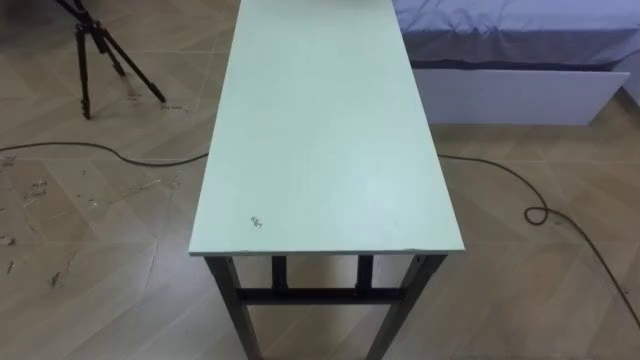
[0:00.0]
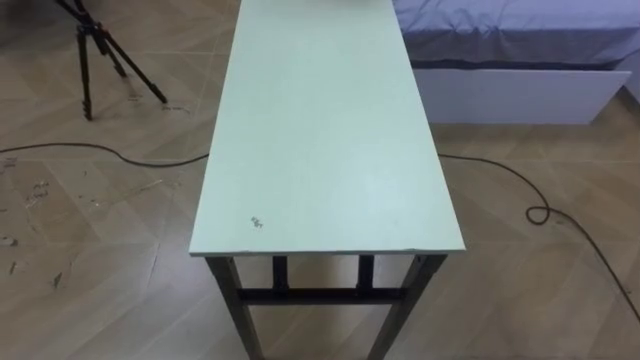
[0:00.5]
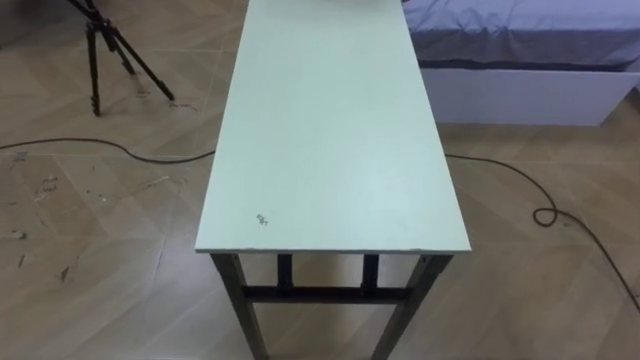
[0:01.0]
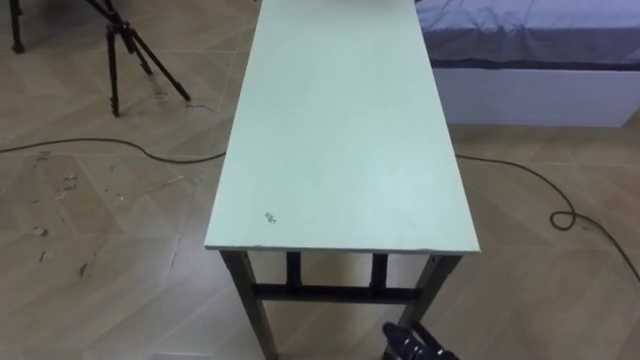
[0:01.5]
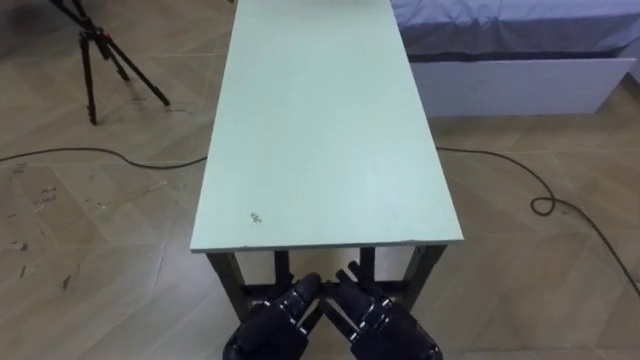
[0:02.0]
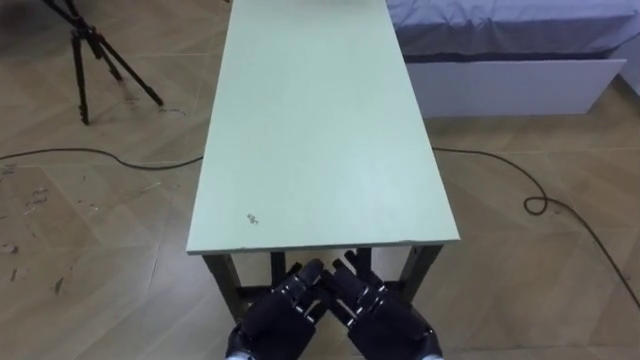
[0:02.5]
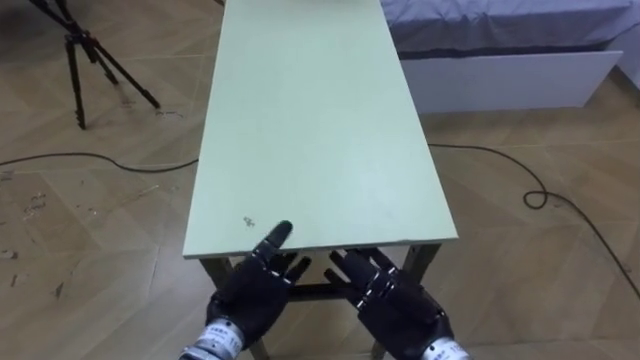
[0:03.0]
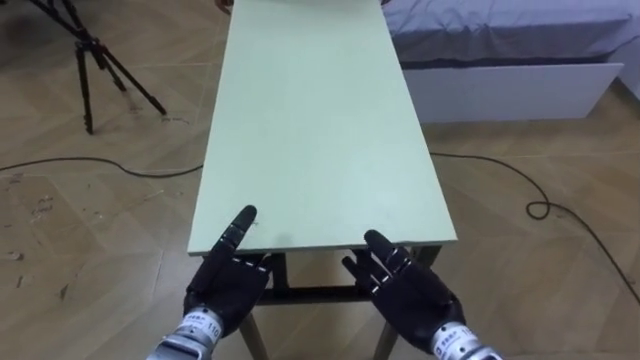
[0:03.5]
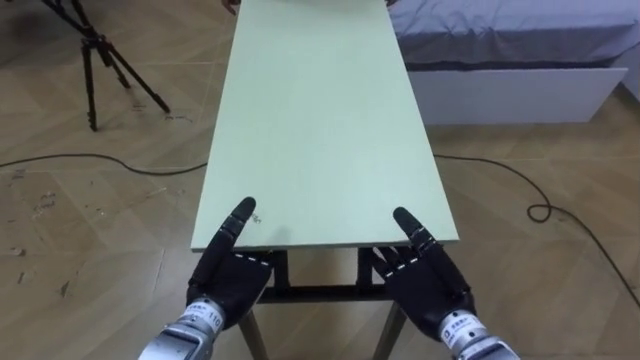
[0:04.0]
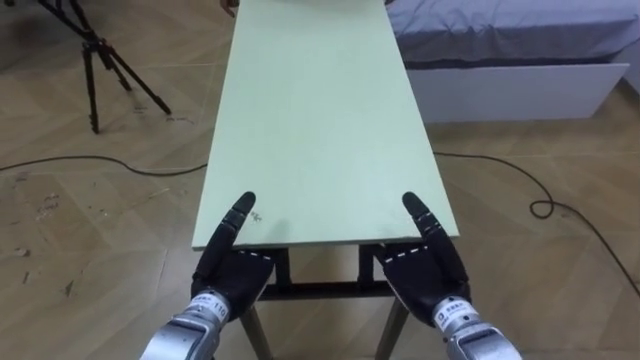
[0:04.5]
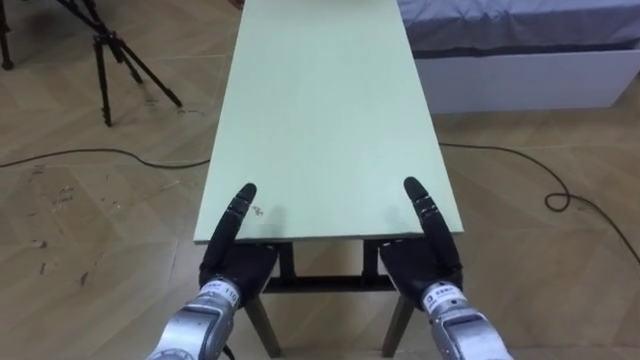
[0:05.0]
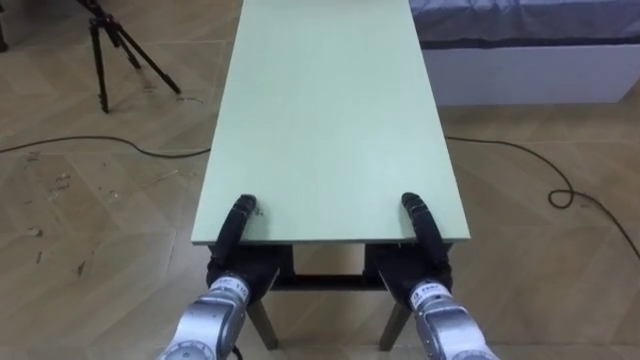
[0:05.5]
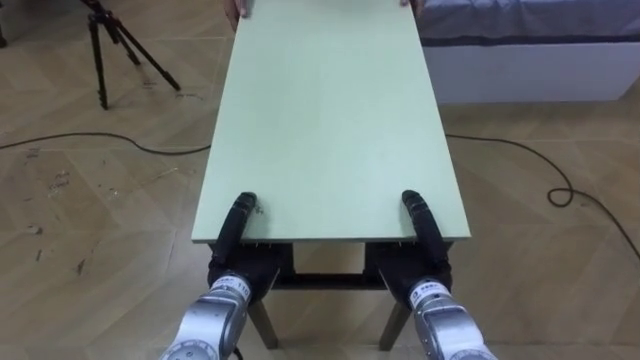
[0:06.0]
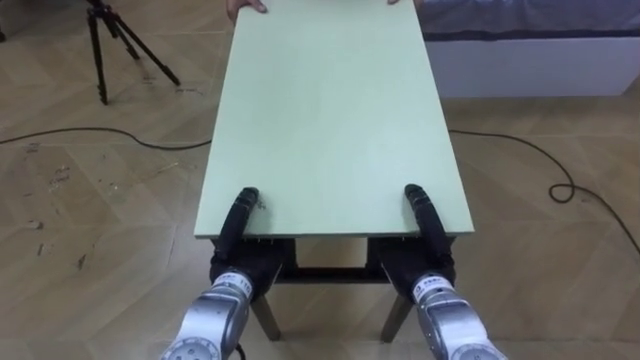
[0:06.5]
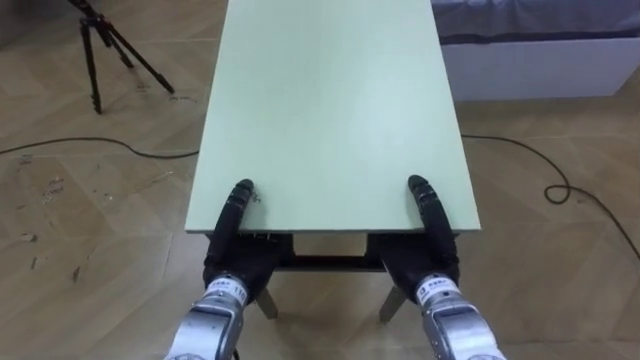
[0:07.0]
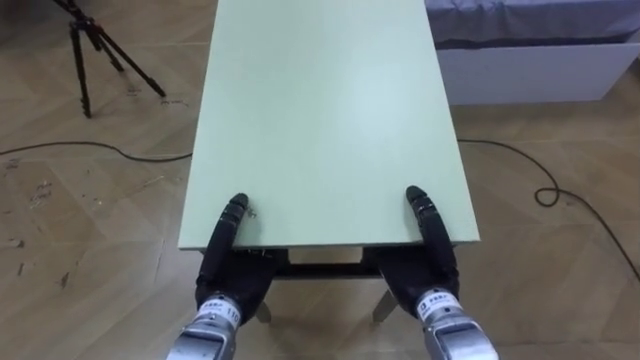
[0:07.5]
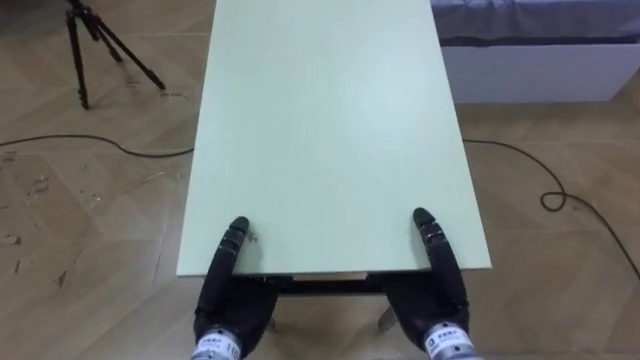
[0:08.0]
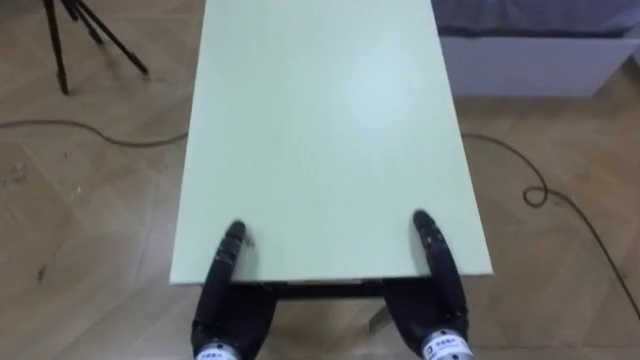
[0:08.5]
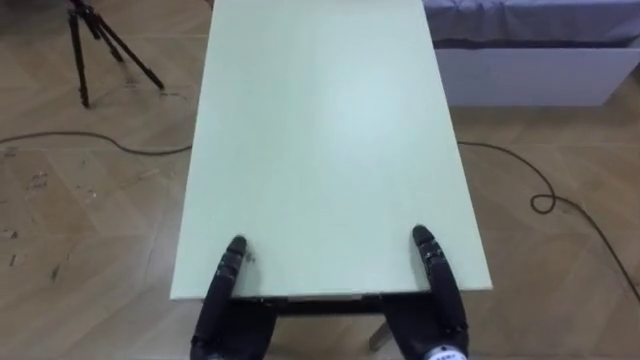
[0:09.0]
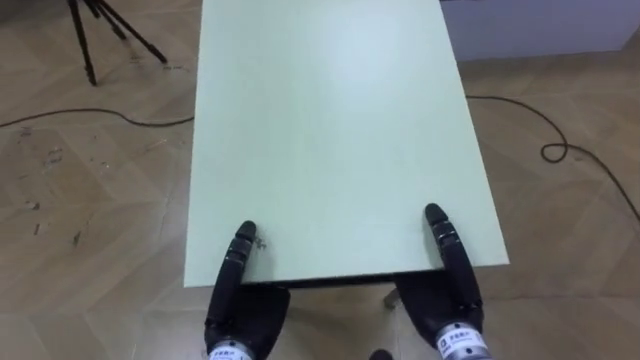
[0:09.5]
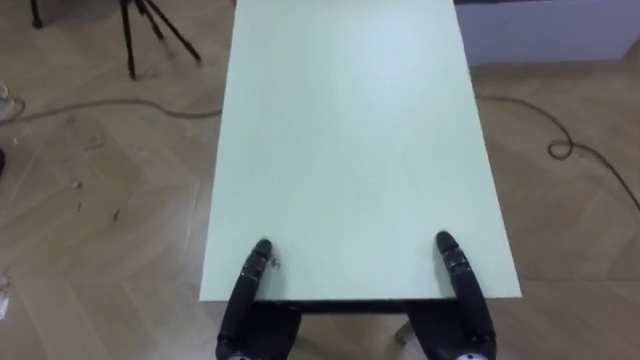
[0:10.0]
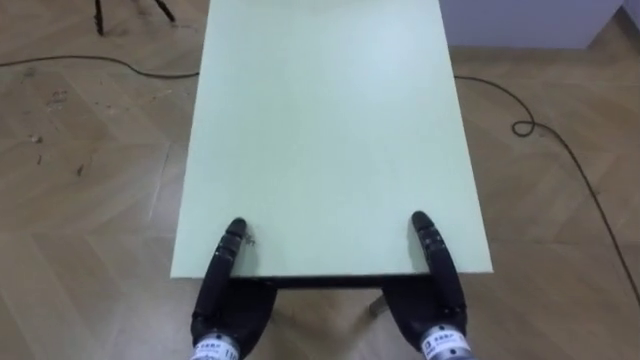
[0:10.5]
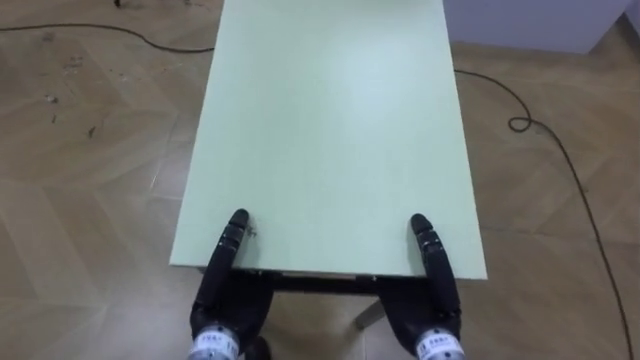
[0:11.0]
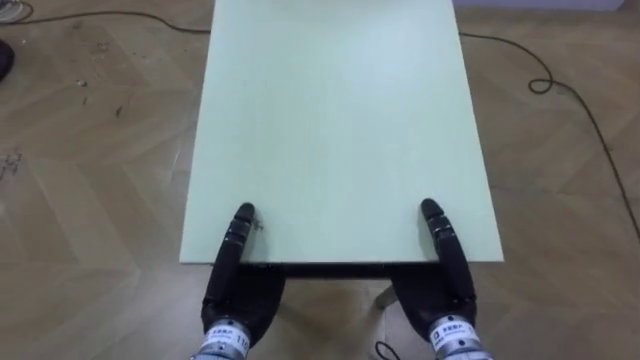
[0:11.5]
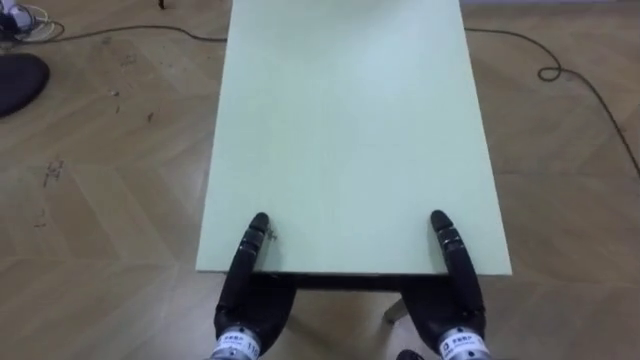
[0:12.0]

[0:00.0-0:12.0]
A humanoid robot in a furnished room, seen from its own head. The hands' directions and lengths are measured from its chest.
Task of the whole recording: Move the table to the back left with someone.
0:02.0 to 0:04.0: The left hand travels forward and to the left by about 10 cm; the right hand heads forward, covering roughly 5 cm.
0:04.0 to 0:06.0: The left hand closes up. The right hand closes up.
0:06.0 to 0:08.0: The left hand is displaced backward by roughly 5 cm.

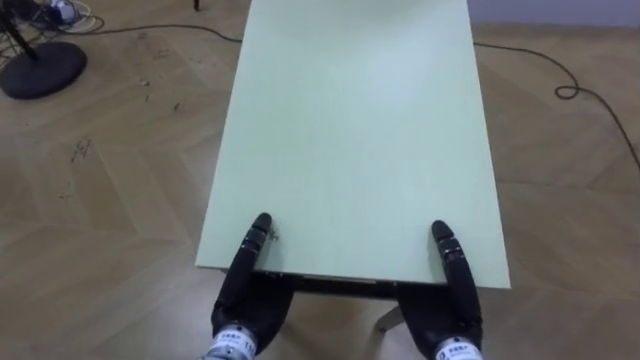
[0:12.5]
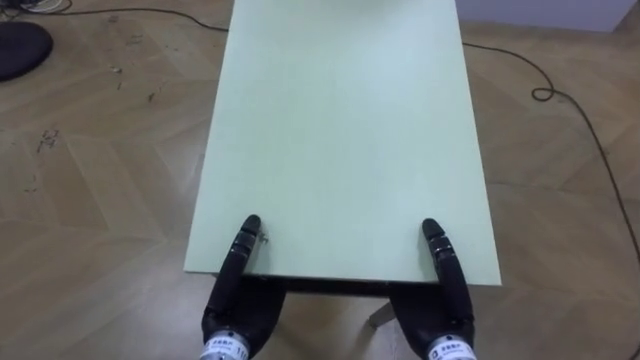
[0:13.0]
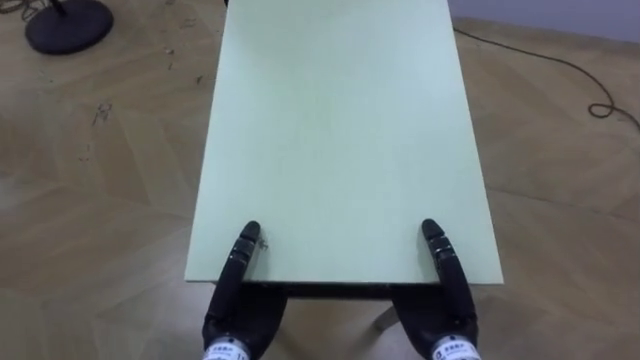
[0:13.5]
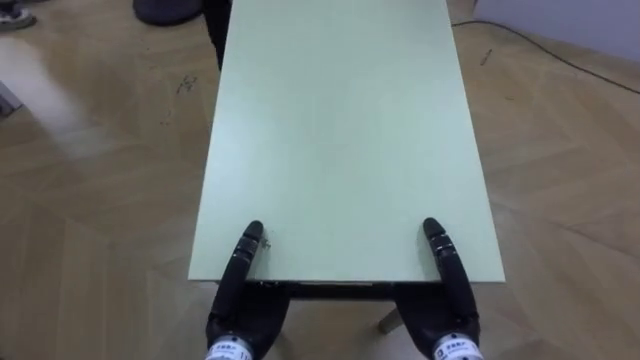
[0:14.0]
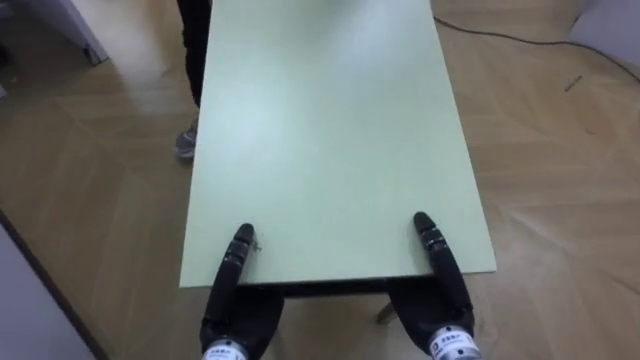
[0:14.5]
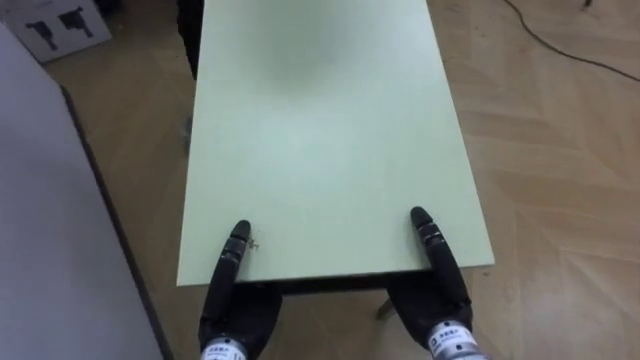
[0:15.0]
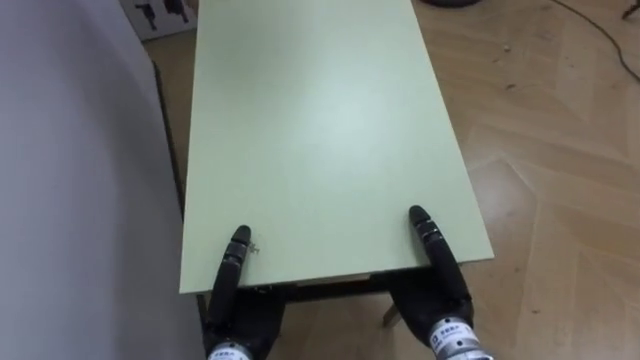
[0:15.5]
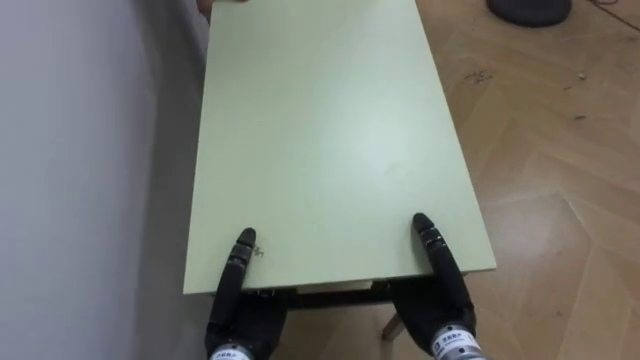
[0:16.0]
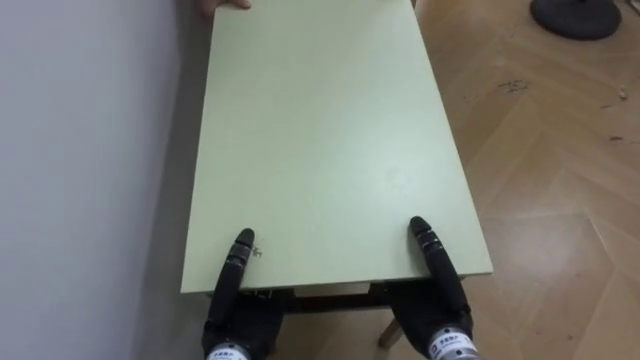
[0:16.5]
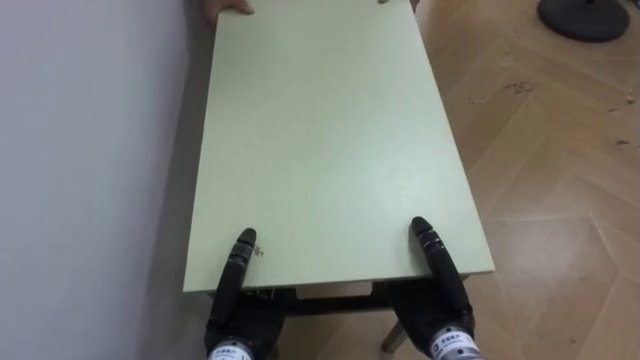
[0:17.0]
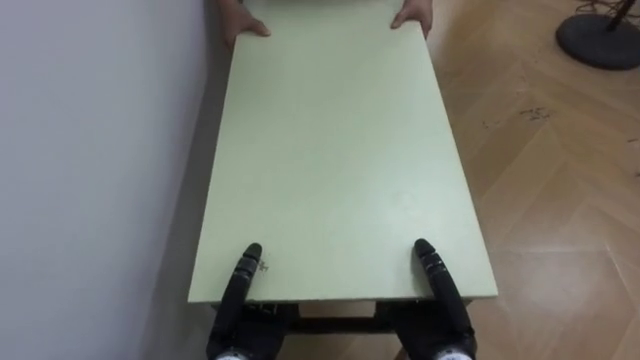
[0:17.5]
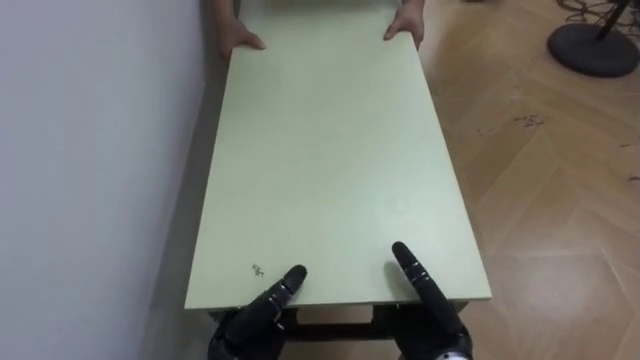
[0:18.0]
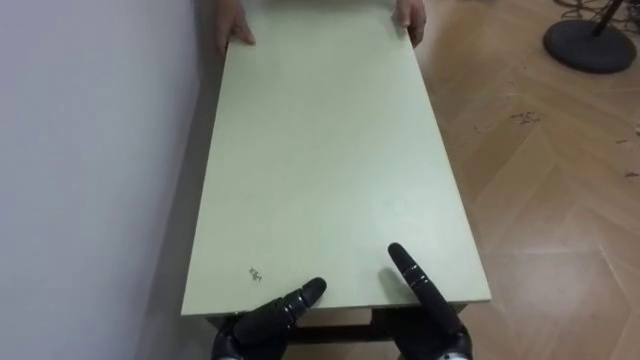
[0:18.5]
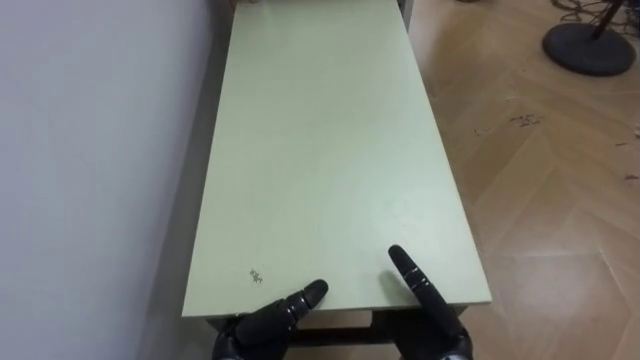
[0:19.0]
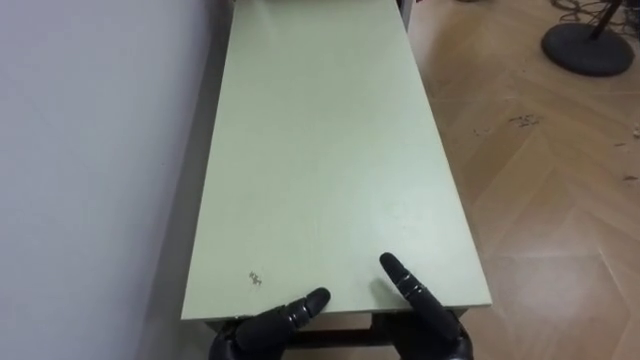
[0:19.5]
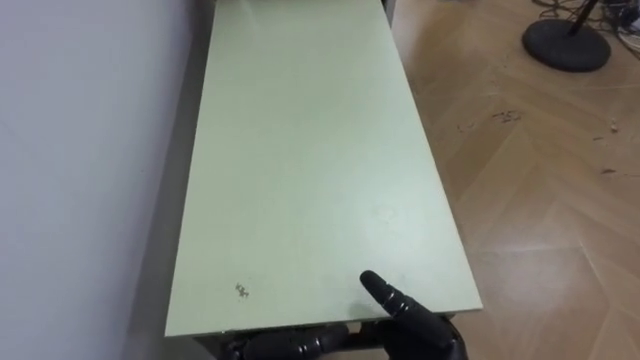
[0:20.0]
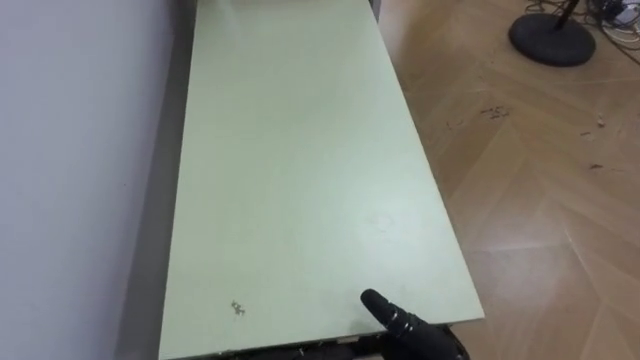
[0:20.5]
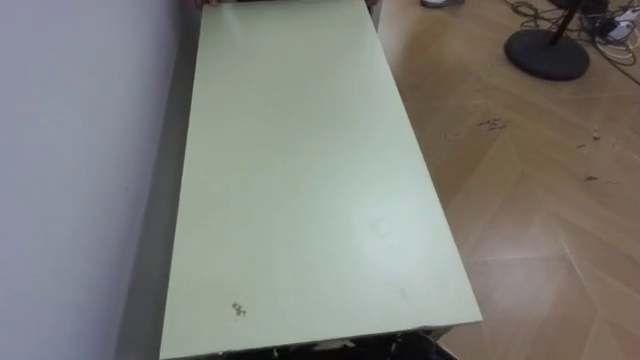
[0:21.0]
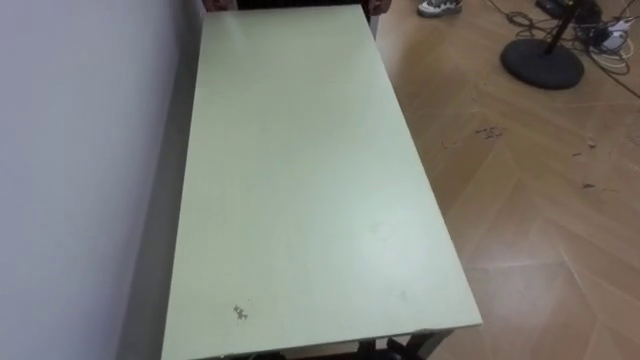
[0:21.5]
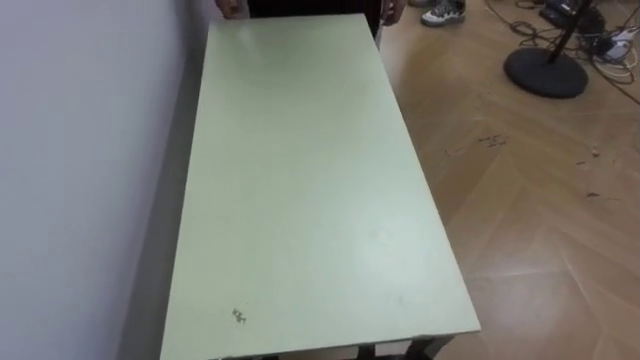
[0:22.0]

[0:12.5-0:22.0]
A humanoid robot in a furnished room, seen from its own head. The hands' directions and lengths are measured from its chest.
Task of the whole recording: Move the table to the back left with someone.
0:12.5 to 0:14.5: The robot rotates approximately 25 degrees to its left.
0:14.5 to 0:16.5: The robot faces approximately 45 degrees further to its left.
0:18.0 to 0:20.0: The right hand opens. The left hand opens its fingers.
